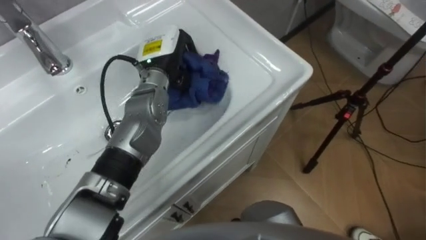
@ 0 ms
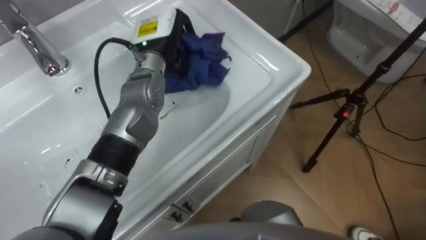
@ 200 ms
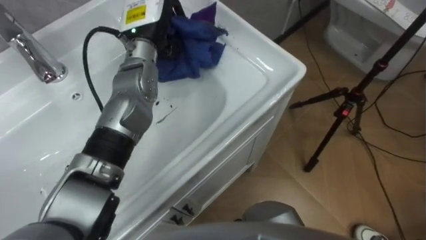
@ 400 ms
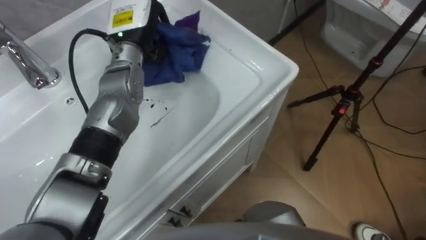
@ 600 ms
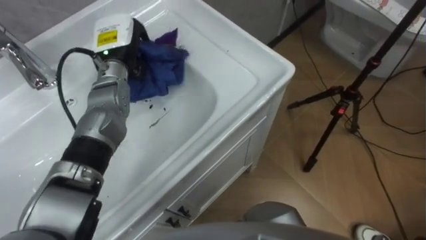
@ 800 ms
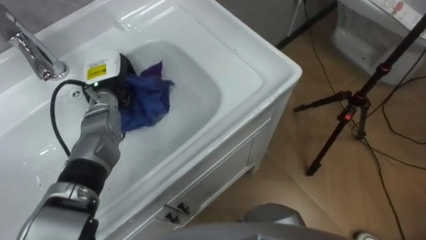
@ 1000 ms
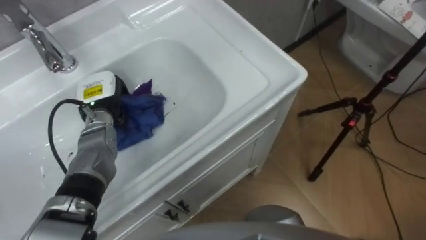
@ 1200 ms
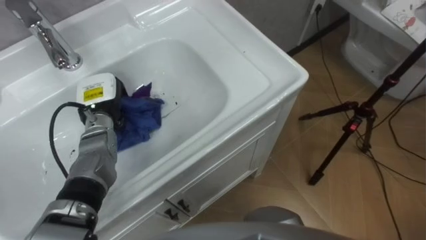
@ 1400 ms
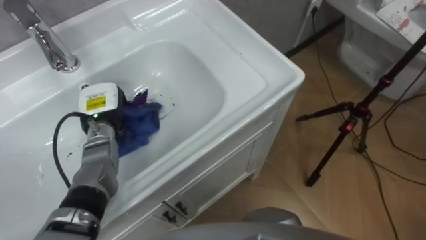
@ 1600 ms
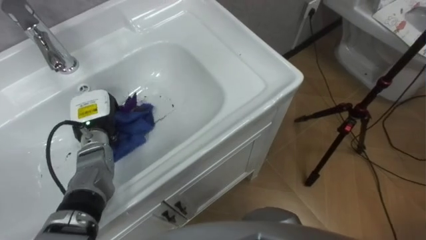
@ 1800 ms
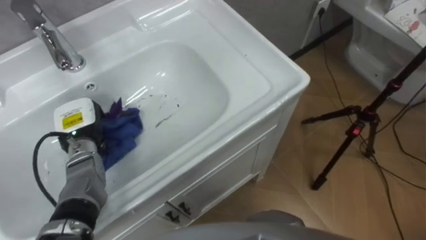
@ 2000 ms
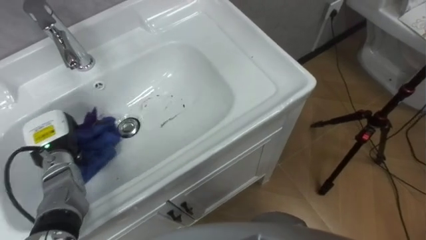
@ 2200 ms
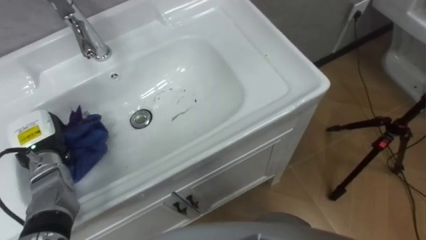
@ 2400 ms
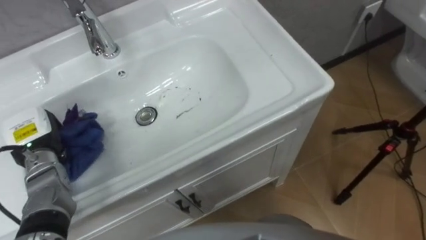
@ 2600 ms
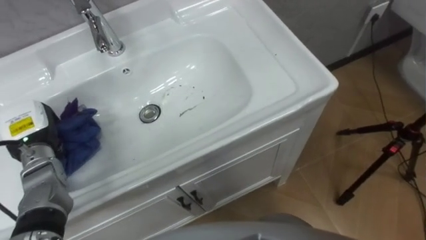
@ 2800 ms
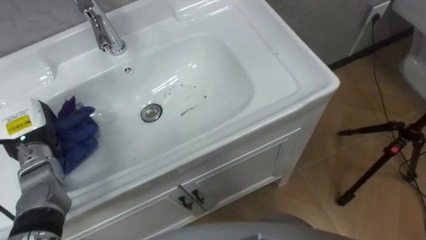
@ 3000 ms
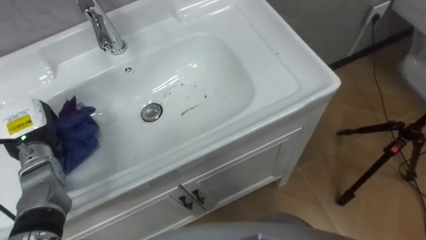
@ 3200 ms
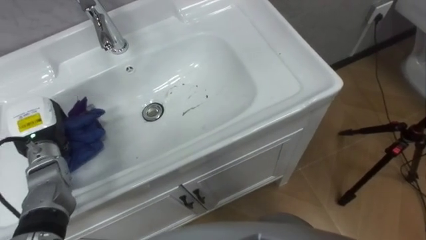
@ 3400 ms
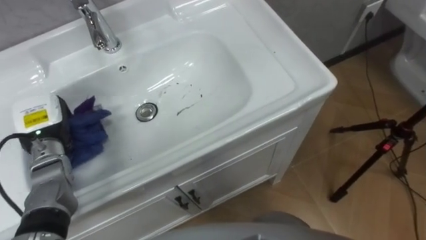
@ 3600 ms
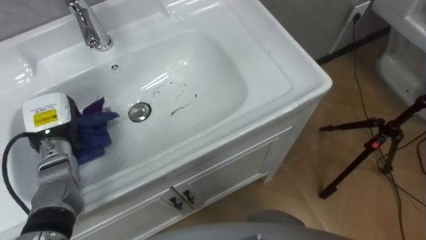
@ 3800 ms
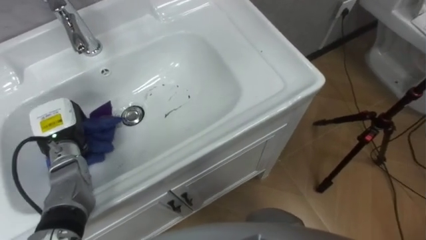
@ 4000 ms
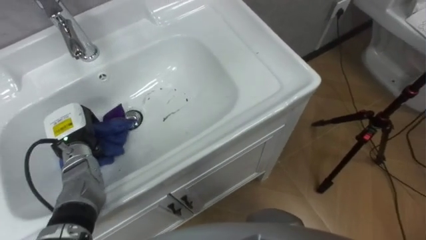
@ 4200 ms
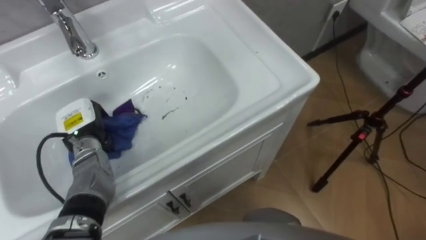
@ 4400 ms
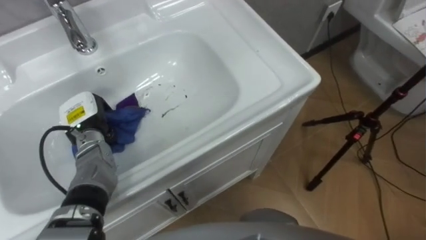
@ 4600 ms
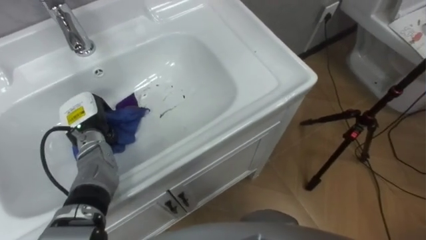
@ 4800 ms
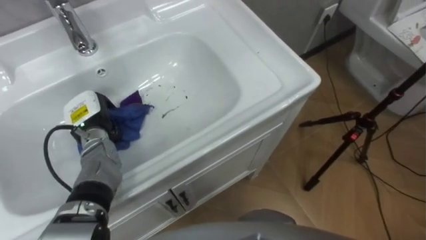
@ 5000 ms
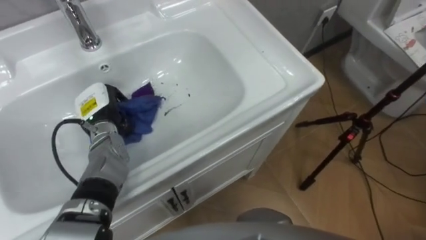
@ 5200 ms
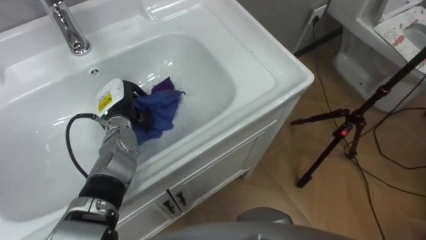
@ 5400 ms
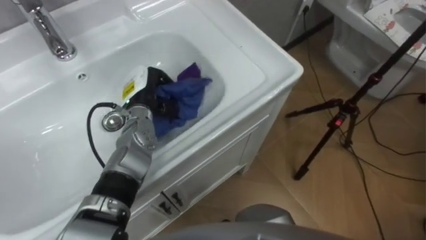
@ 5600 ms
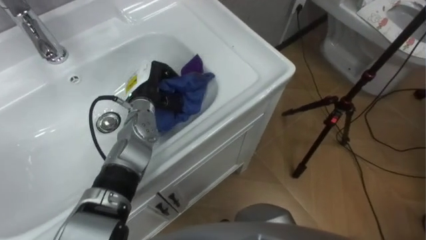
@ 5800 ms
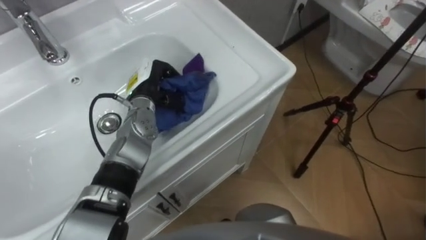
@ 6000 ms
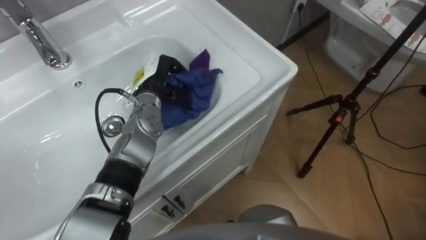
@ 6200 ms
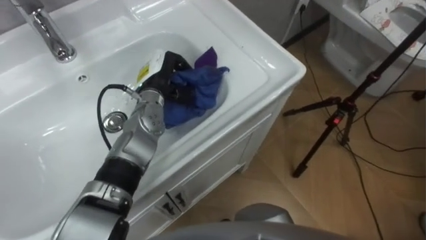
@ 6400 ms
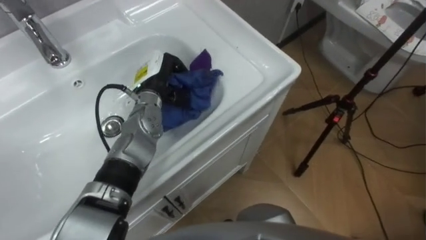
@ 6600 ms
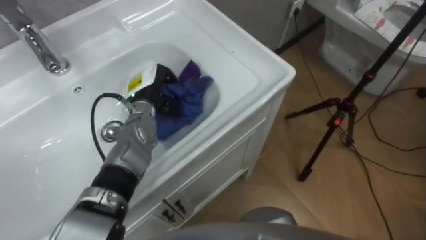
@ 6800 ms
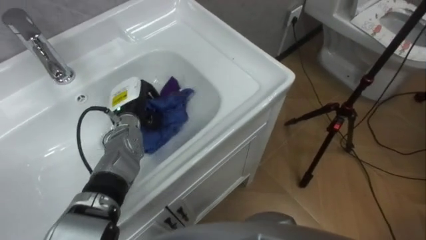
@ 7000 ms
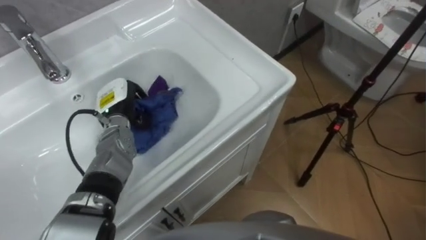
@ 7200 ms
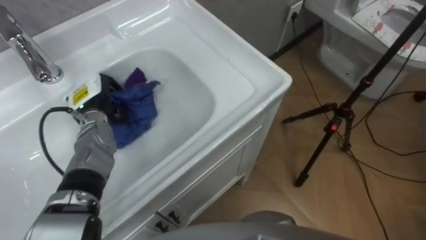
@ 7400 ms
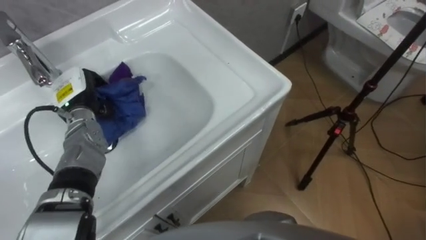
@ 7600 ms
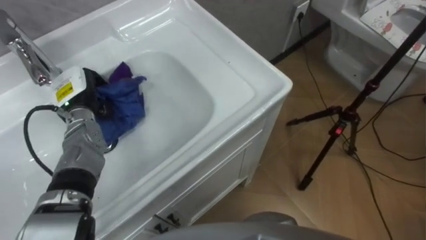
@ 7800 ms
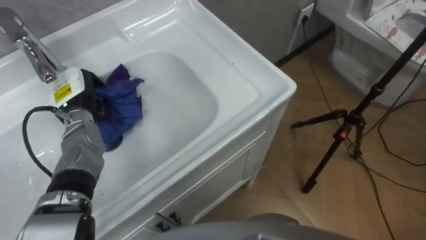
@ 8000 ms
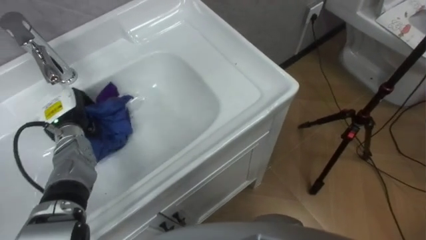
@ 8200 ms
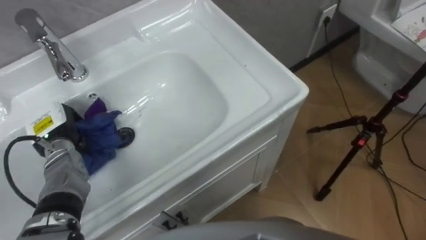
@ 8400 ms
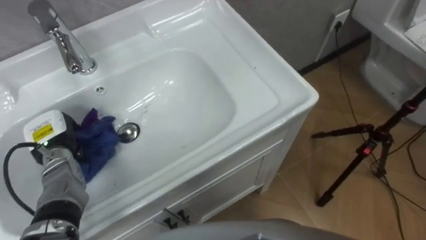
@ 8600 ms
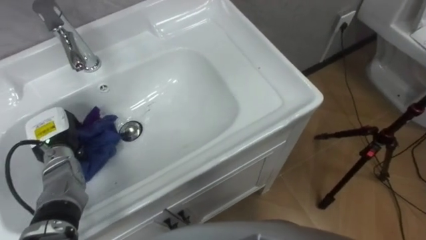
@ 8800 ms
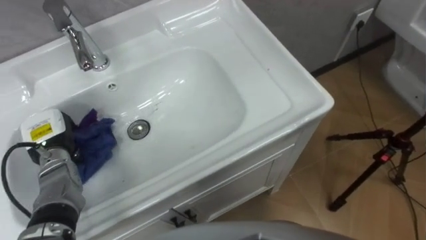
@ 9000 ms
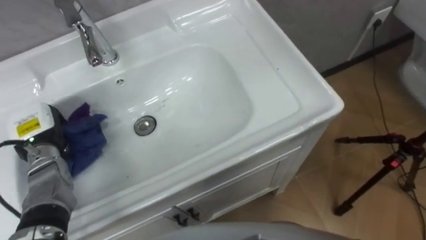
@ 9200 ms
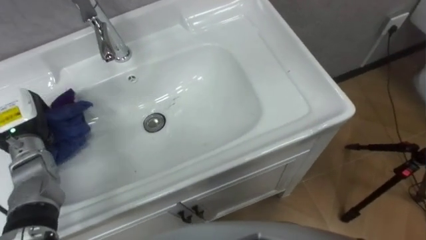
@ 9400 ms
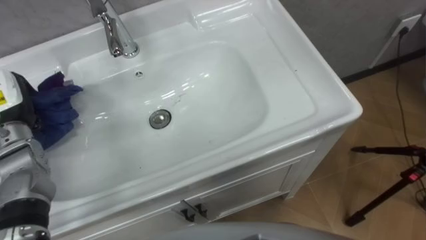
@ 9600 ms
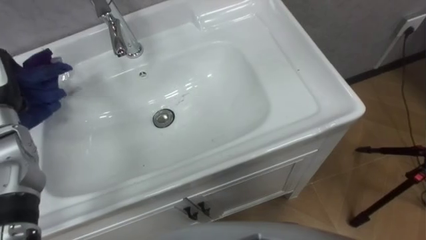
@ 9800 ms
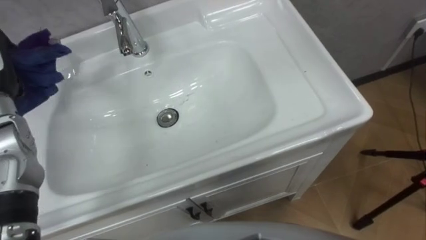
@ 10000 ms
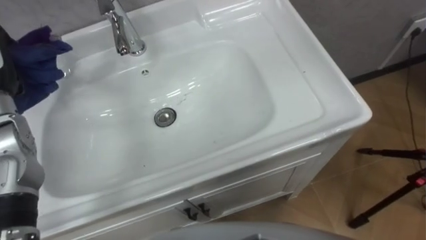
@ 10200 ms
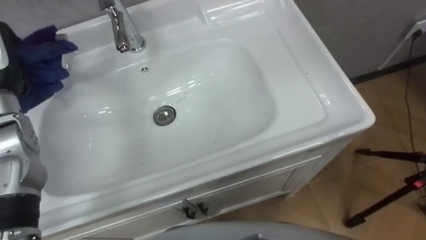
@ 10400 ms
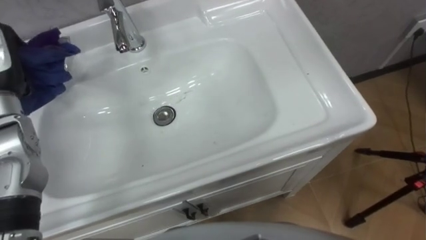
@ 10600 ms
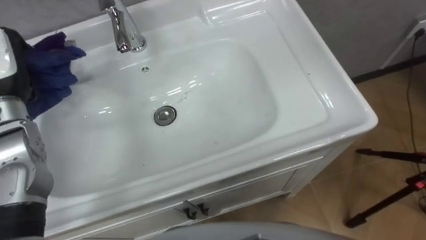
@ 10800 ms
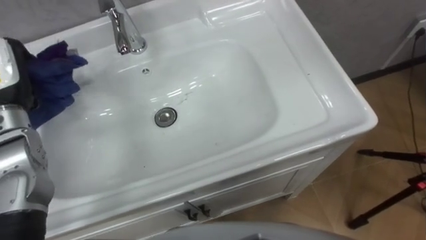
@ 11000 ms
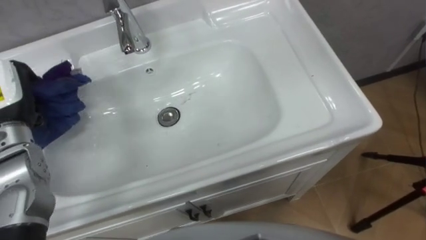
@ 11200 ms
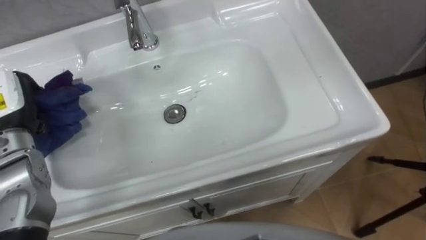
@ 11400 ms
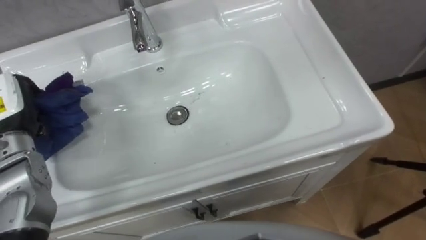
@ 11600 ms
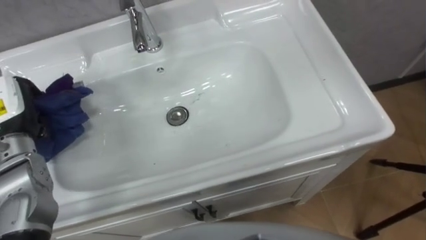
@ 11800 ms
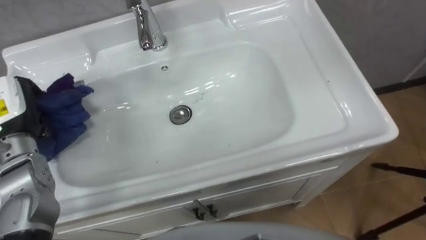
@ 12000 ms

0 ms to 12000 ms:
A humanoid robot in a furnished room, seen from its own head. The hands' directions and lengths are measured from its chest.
Task of the whole recording: Use the cloth on the right to wipe away the black stain in the sink.
0 ms to 1600 ms: The left hand moves to the left, downward and backward, roughly 20 cm.
1600 ms to 3000 ms: The left hand goes some 15 cm to the left and backward.
3000 ms to 4400 ms: The left hand travels to the right by approximately 10 cm.
4400 ms to 6000 ms: The left hand goes approximately 15 cm to the right and forward.
6000 ms to 7600 ms: The left hand shifts roughly 15 cm to the left.
7600 ms to 9000 ms: The left hand shifts roughly 10 cm backward and to the left.

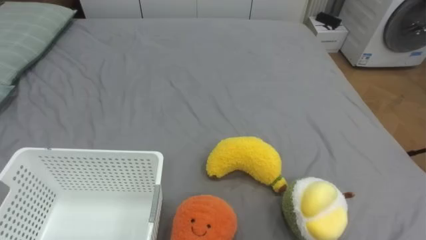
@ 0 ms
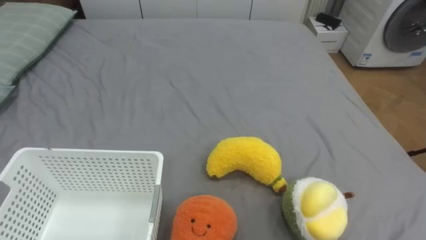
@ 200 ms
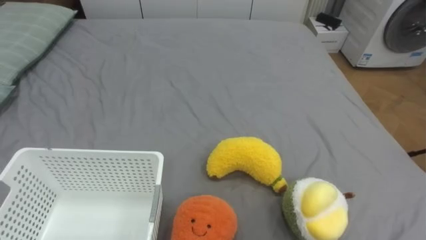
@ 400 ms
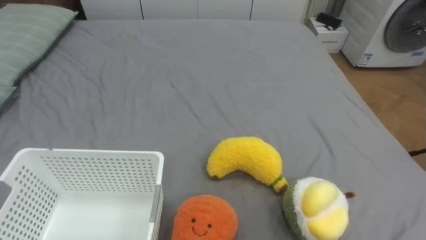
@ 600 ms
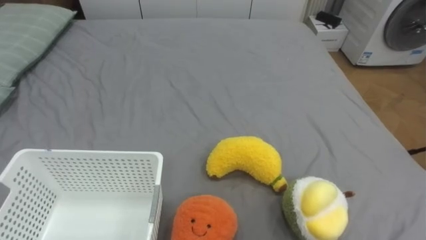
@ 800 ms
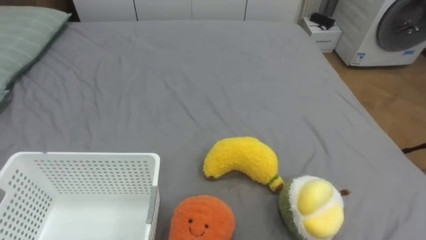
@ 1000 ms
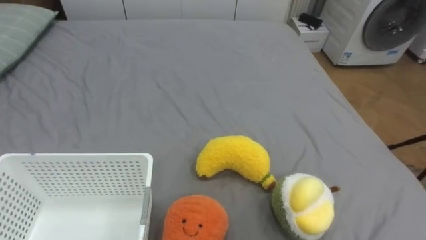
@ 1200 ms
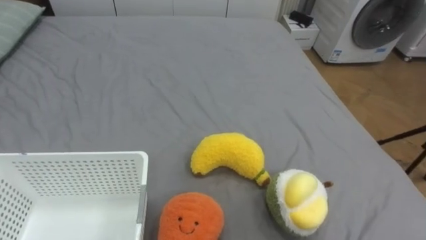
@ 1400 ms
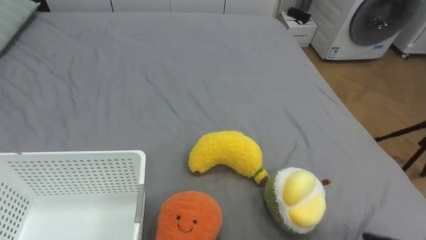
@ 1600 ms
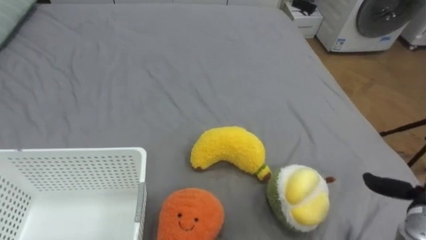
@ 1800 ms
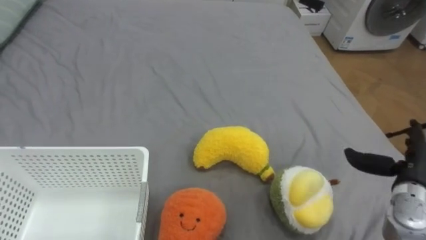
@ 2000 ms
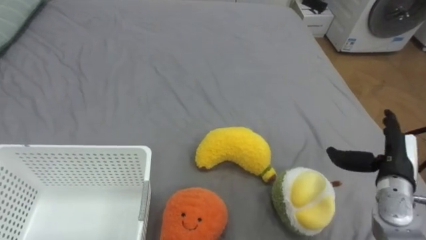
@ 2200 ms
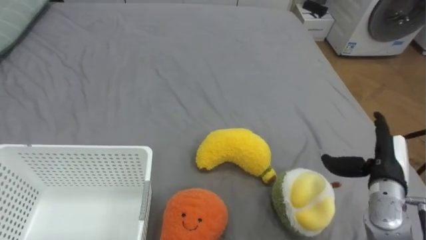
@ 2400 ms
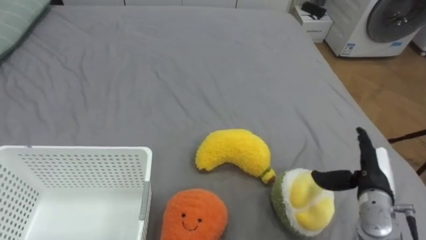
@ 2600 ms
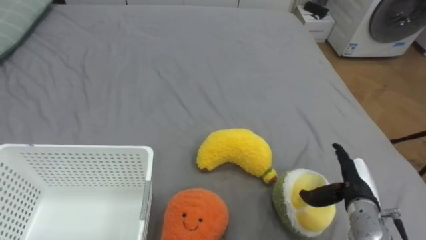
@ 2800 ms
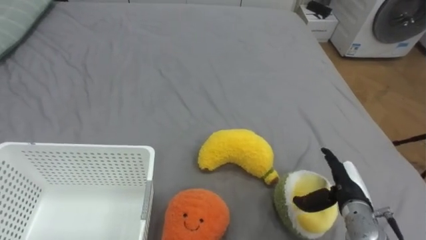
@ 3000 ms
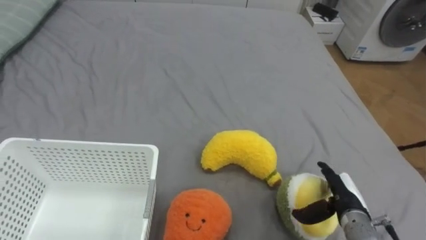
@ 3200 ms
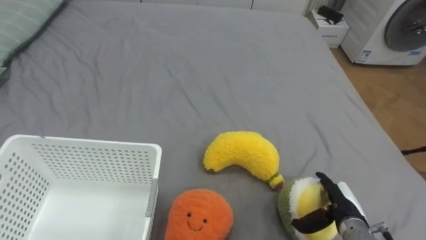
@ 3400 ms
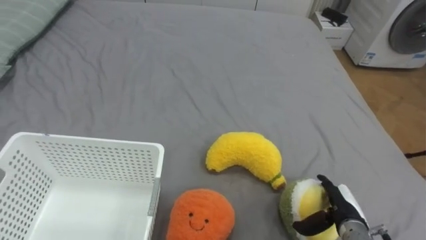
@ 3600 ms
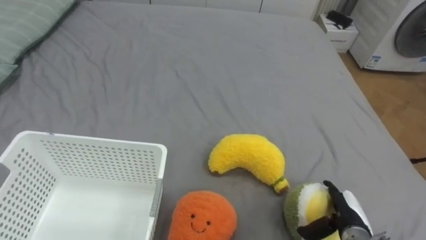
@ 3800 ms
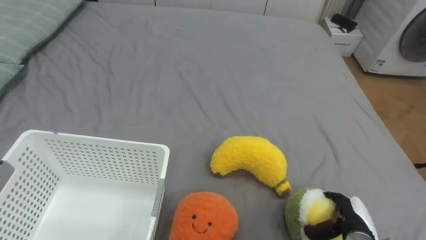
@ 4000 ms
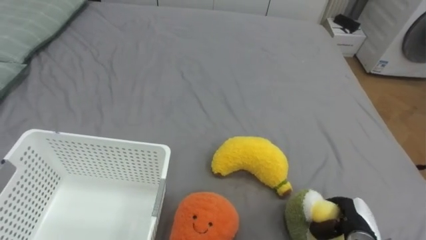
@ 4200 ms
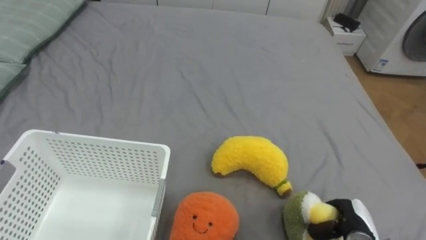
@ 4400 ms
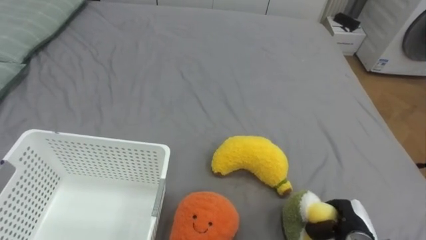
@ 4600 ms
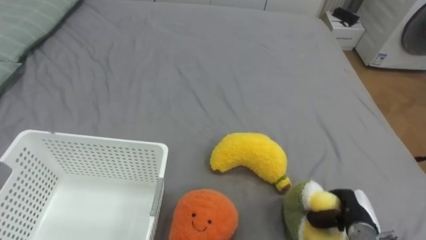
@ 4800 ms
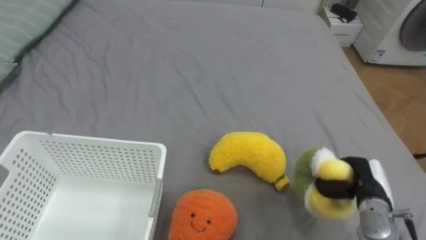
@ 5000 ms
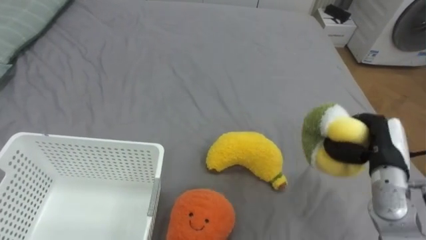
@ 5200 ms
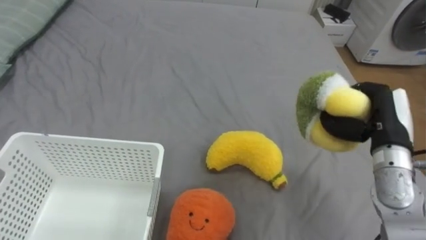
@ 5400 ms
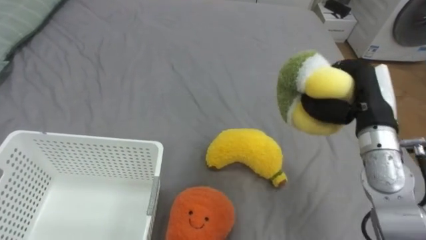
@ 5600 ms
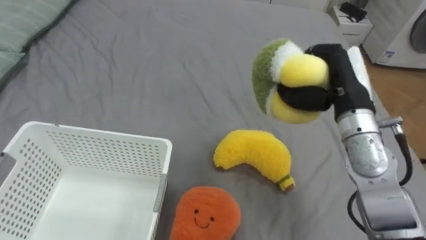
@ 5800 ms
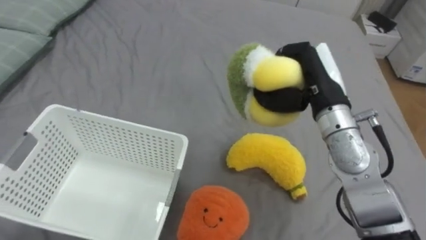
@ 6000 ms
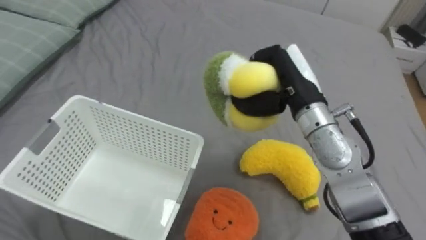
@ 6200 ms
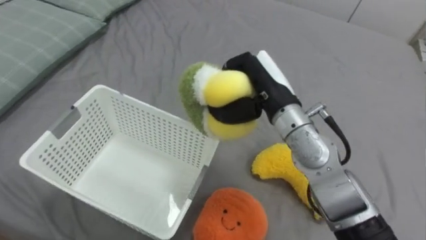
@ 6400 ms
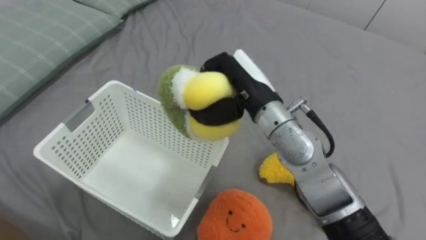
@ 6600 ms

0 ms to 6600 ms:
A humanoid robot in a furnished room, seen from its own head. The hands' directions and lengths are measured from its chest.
Task of the whole recording: Put the toys on the bed into the basket on the left.
3200 ms to 5000 ms: The right hand closes its fingers.
5000 ms to 6600 ms: The right hand heads to the left and upward, covering some 35 cm.
